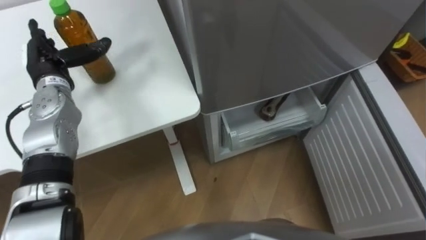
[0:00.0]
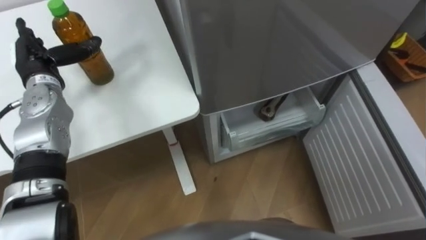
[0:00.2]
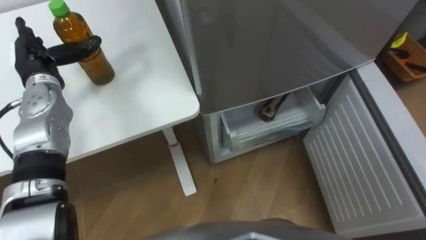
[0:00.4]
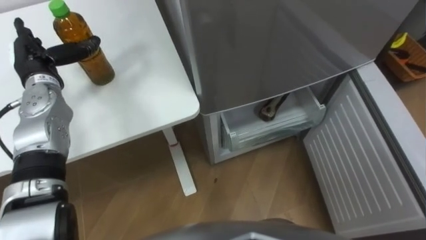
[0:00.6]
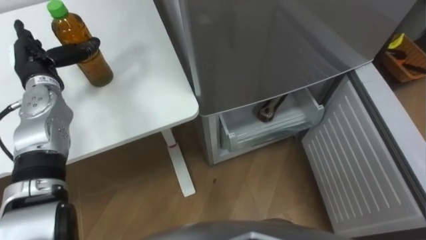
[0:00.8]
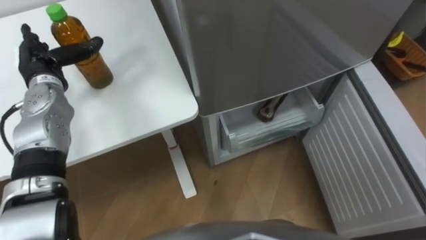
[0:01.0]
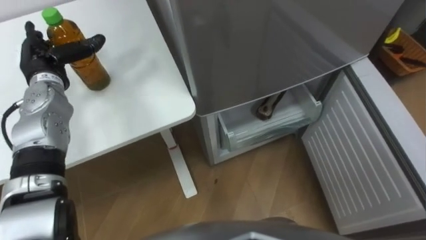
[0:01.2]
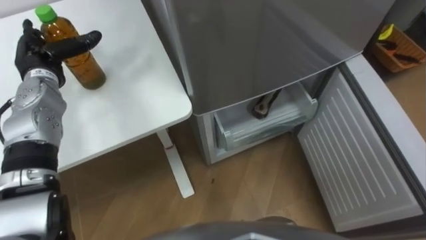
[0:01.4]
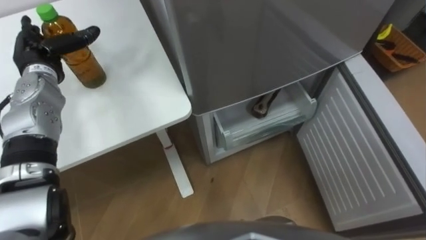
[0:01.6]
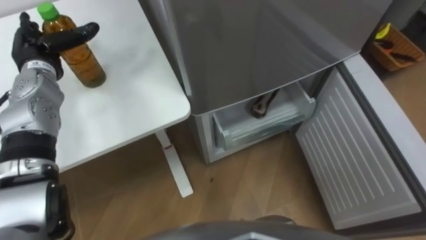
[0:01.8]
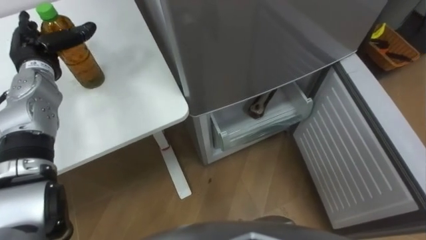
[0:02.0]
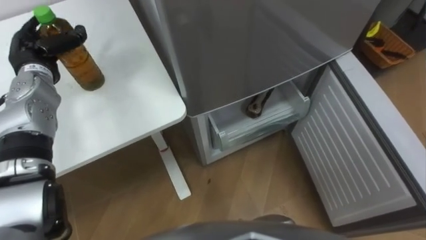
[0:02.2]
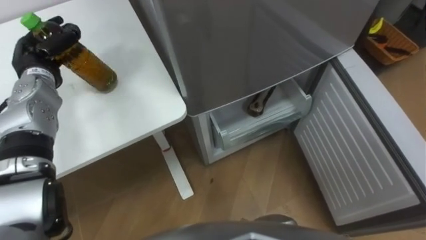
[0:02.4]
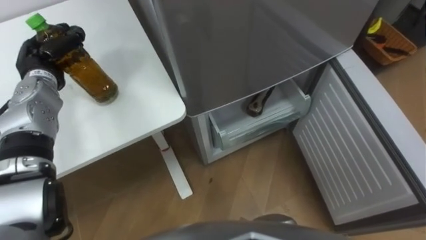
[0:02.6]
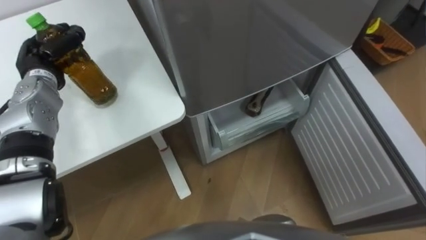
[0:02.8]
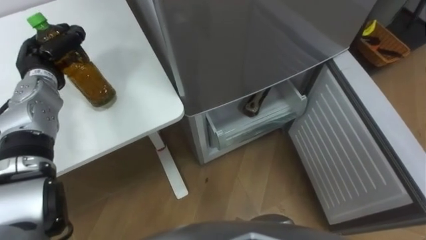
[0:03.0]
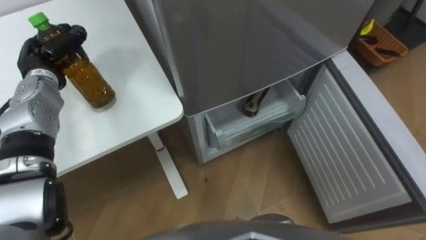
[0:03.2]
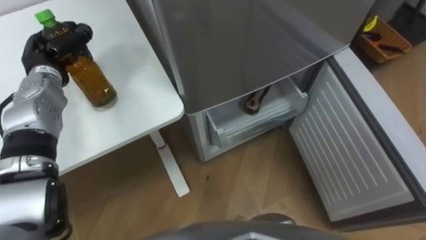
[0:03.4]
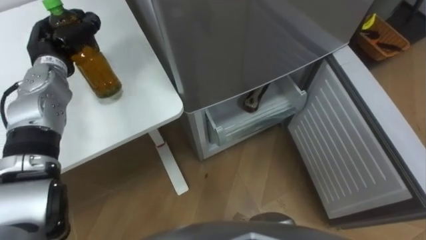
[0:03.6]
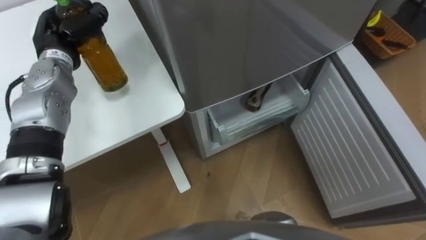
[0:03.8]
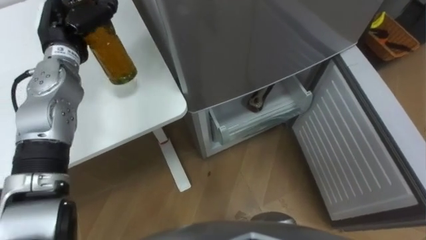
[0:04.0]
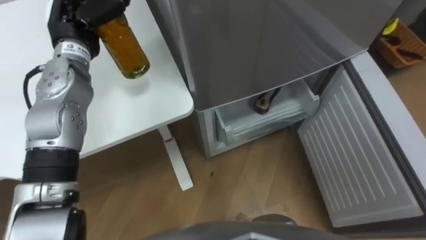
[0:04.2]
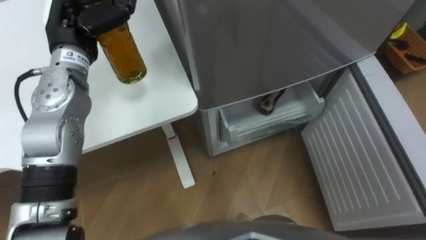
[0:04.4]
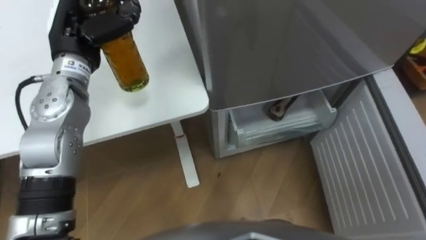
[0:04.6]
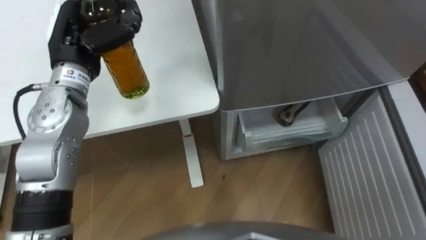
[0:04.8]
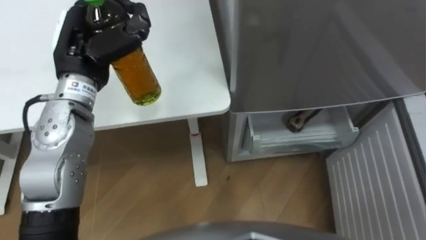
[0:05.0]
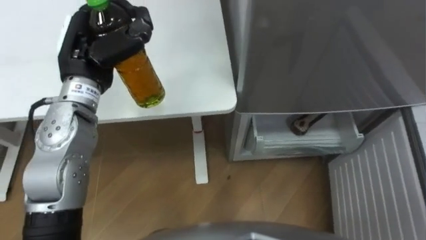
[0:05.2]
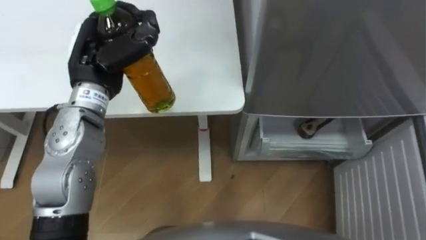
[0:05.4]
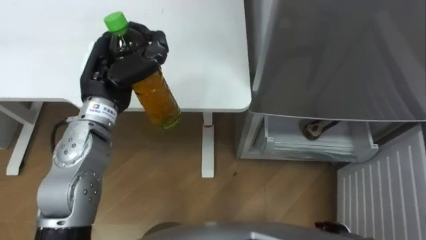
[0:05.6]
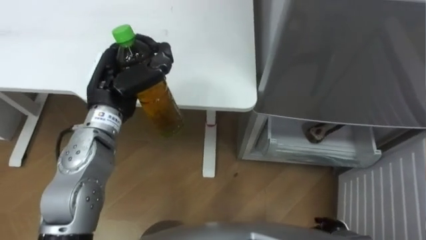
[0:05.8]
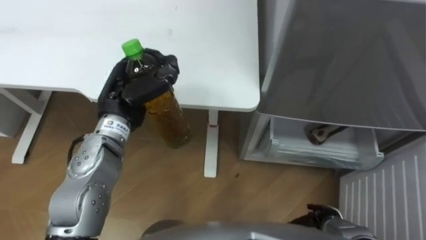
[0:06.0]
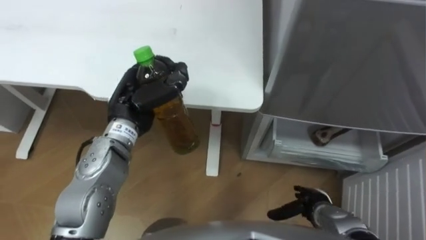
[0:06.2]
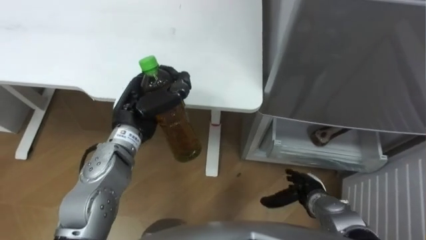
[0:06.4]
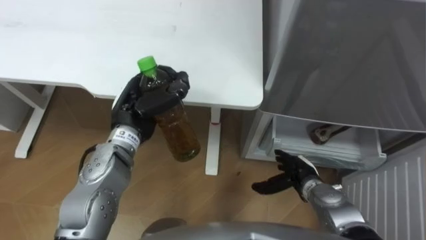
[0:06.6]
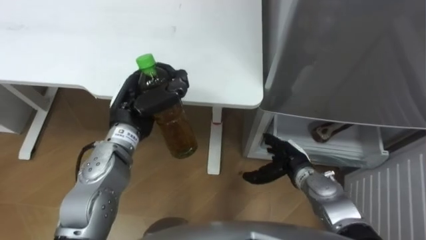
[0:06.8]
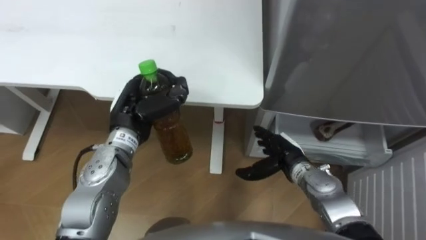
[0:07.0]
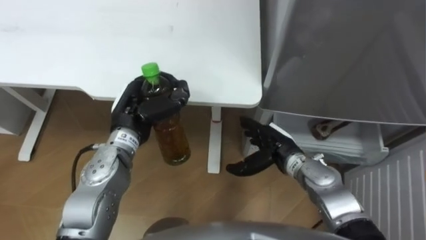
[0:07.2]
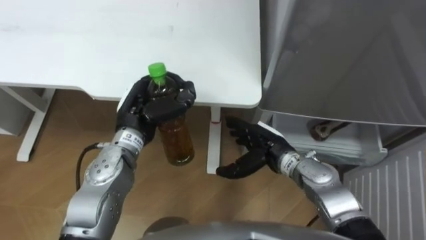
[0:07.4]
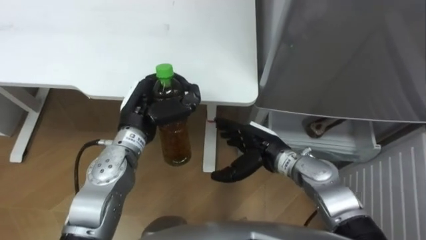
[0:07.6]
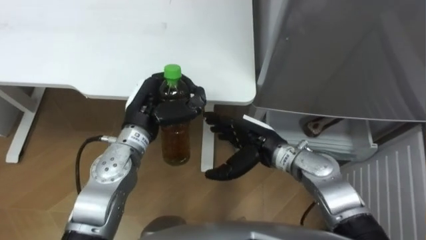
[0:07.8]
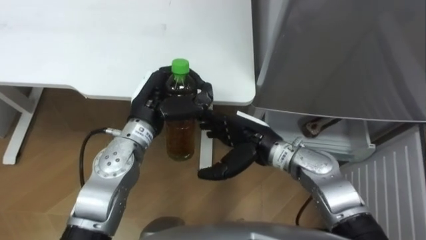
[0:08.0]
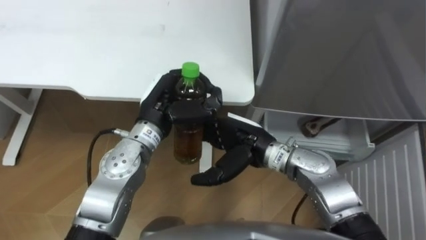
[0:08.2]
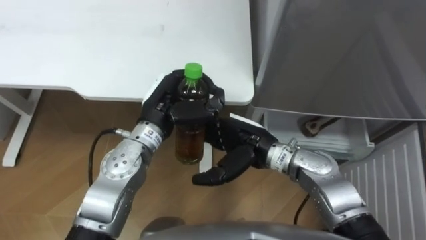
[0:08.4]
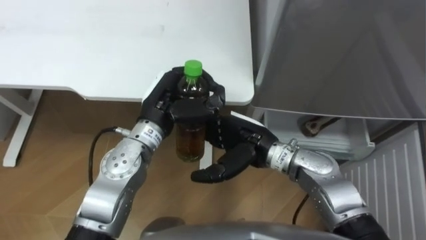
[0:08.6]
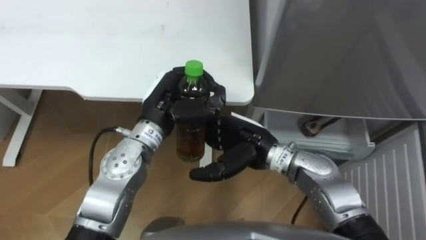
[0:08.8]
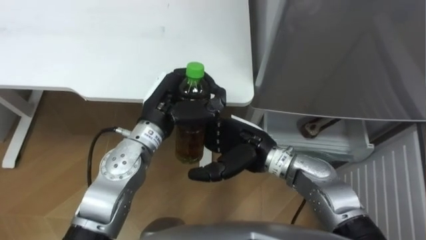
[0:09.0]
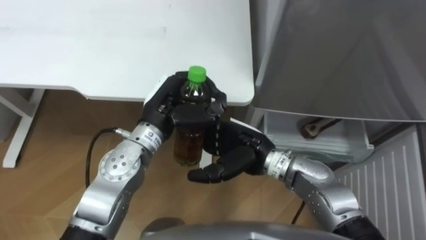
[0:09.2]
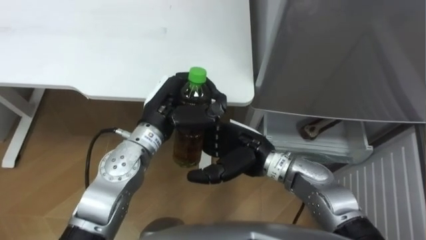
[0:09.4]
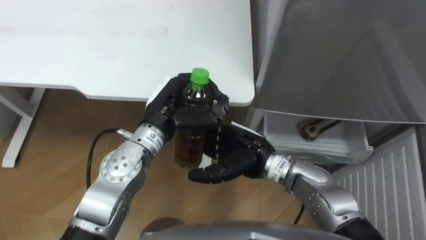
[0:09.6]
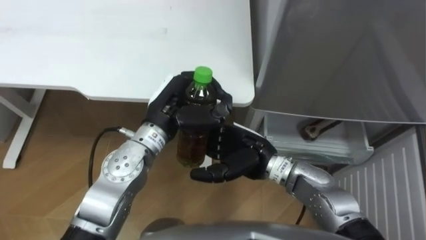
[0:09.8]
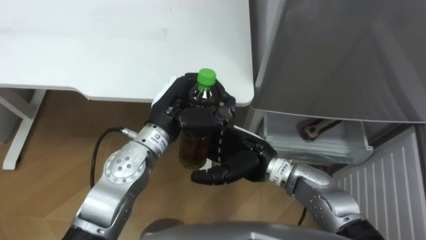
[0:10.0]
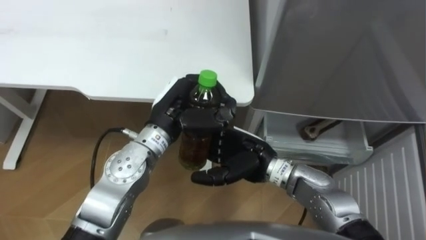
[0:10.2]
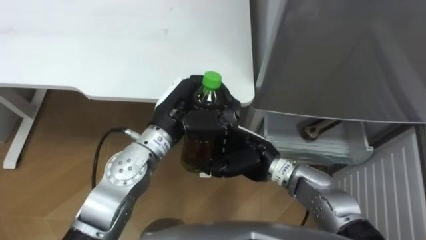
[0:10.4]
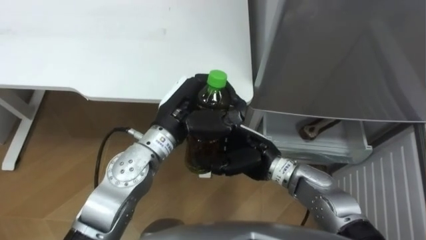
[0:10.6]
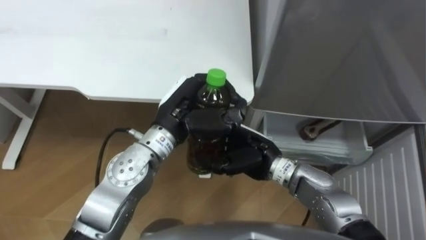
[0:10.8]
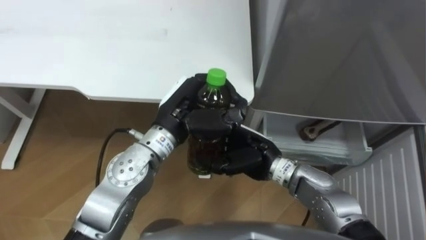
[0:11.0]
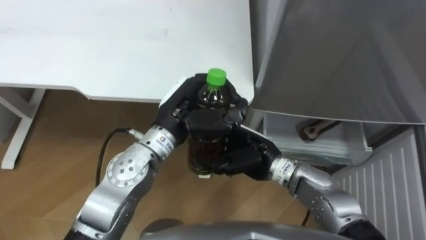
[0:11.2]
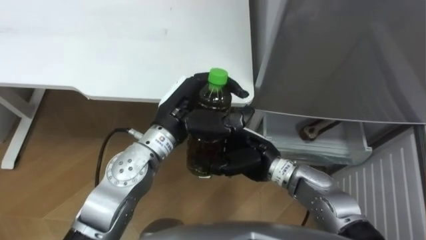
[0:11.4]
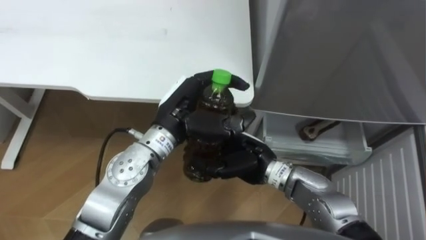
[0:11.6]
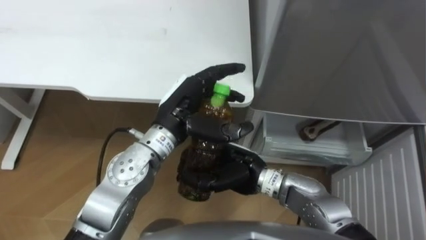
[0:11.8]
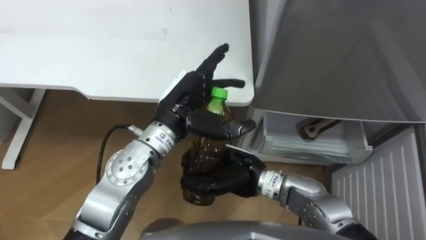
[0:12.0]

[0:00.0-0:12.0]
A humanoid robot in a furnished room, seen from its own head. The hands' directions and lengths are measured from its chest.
Task of the whole recording: Place the drink on the table on the bottom shelf of the refrigerator, then close the drawer and the refrigerator door.
0:01.6 to 0:03.0: The left hand closes.
0:03.0 to 0:04.4: The left hand shifts approximately 15 cm upward and to the right.
0:04.4 to 0:06.0: The left hand travels backward, downward and to the right by about 15 cm.
0:06.0 to 0:07.6: The right hand travels to the left, forward and upward by roughly 25 cm.
0:07.6 to 0:09.0: The right hand shifts some 5 cm upward.
0:09.0 to 0:10.4: The hands move only a little.
0:10.4 to 0:12.0: The left hand opens up, while the right hand closes its fingers.

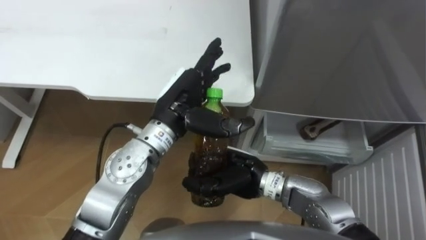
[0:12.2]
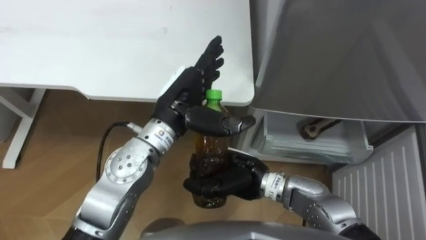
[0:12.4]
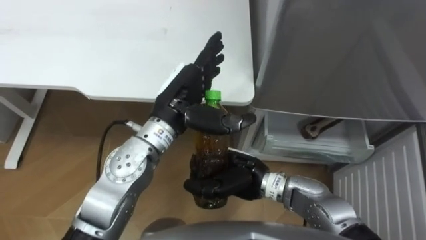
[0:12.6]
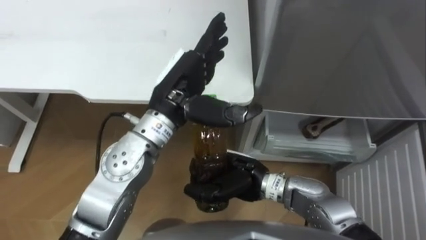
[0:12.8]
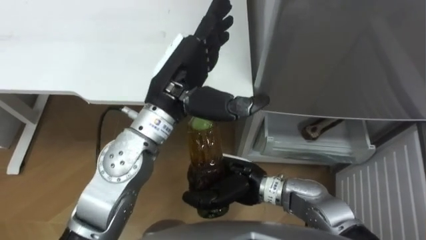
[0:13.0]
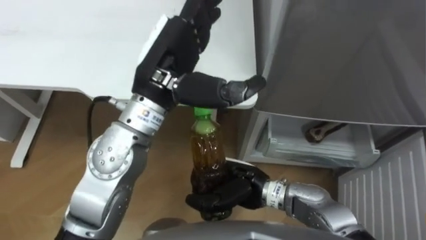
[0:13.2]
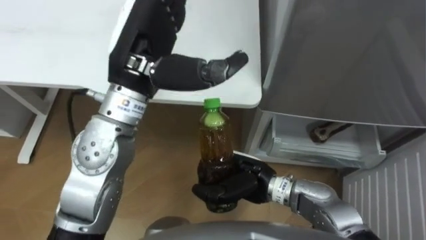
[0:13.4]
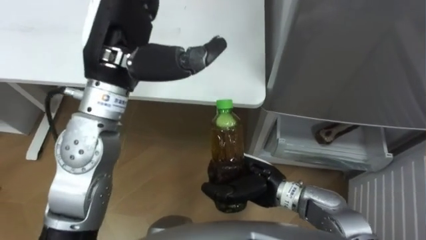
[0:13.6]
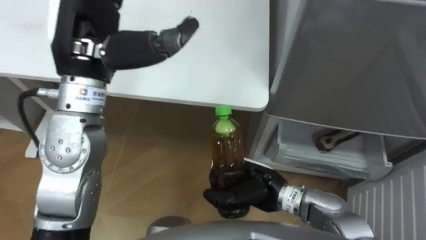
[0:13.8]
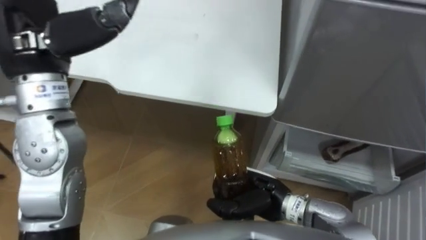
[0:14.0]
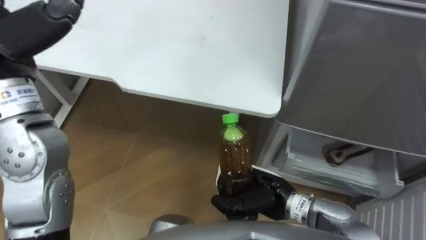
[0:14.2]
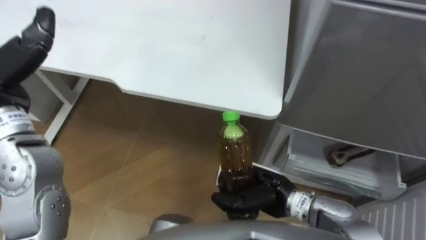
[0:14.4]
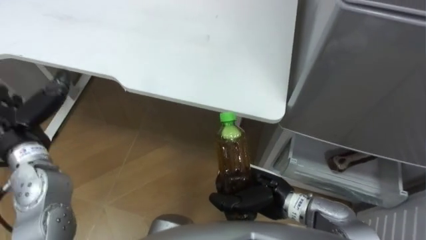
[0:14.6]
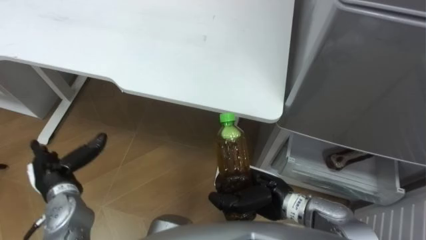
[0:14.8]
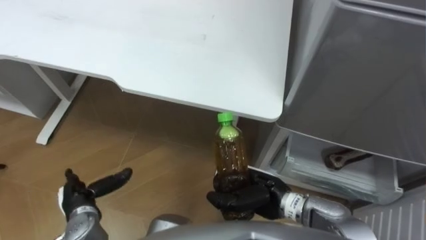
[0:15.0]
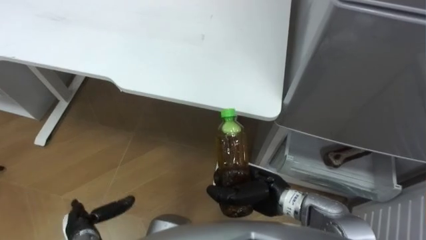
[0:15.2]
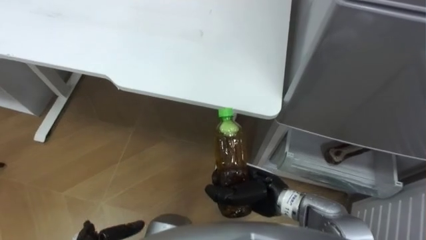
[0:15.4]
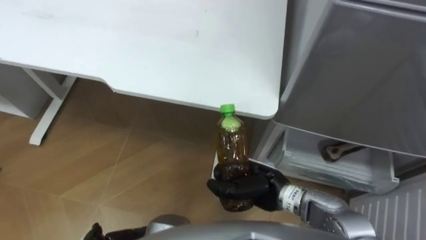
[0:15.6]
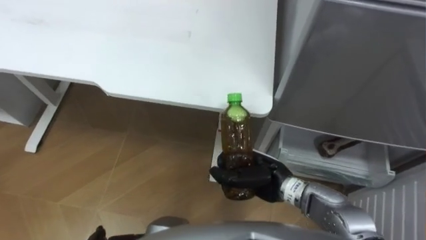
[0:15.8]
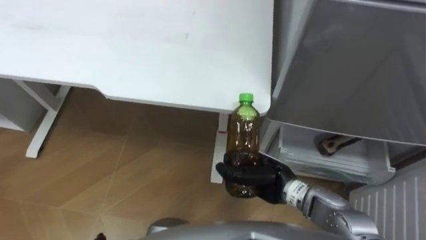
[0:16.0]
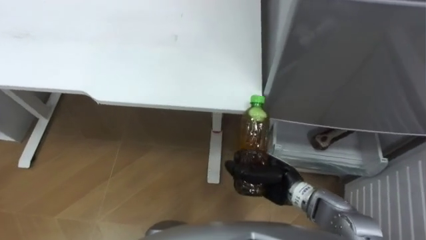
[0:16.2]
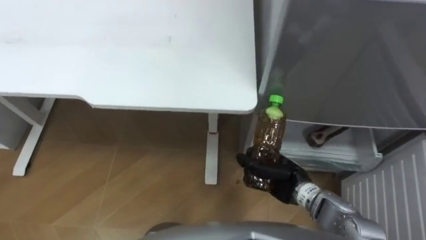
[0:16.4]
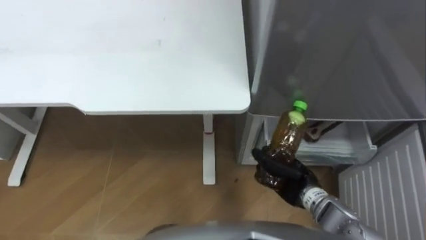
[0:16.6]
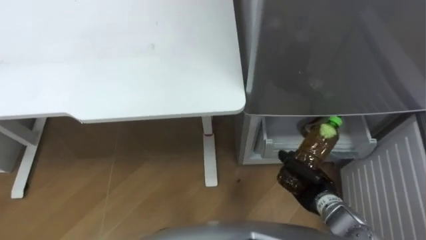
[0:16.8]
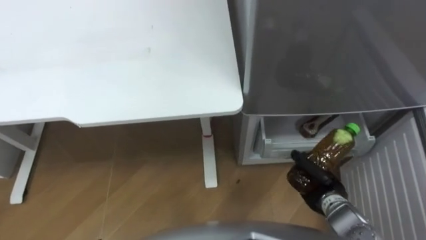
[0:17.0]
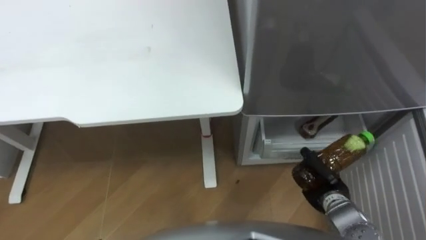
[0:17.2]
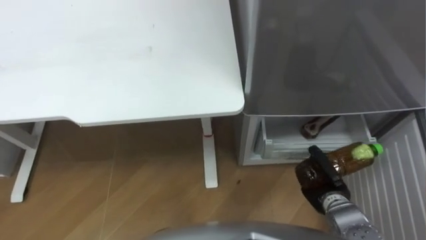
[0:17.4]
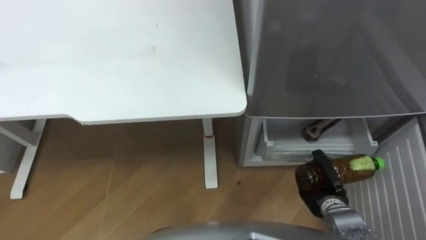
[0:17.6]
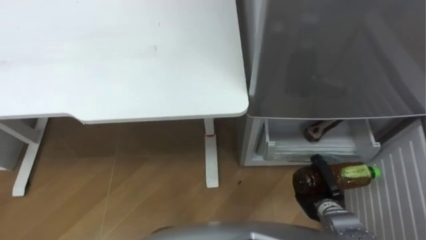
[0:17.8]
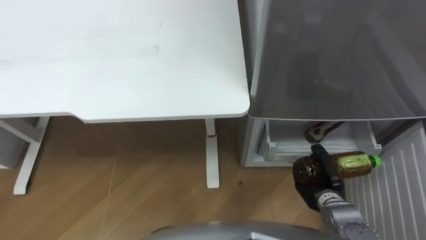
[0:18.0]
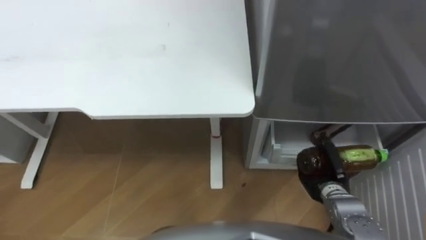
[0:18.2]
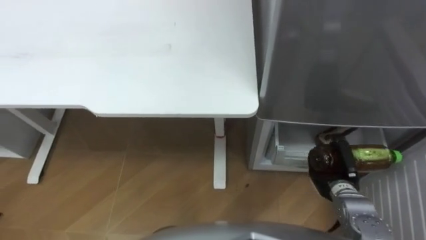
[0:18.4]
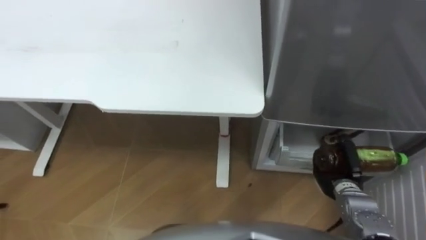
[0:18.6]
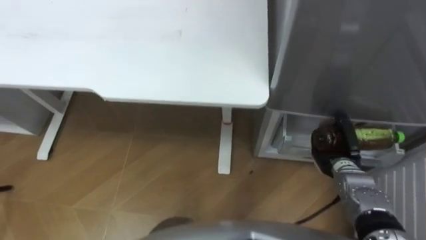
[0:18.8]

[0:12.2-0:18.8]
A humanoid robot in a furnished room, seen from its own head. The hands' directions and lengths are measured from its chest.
Task of the whole recording: Place the drink on the table on the bottom shelf of the refrigerator, then close the drawer and the refrigerator door.
0:12.2 to 0:13.8: The right hand shifts by approximately 5 cm; the left hand is displaced upward and to the left by some 15 cm.
0:15.4 to 0:17.2: The right hand goes about 15 cm to the right.
0:17.2 to 0:18.8: The right hand shifts roughly 5 cm forward.
